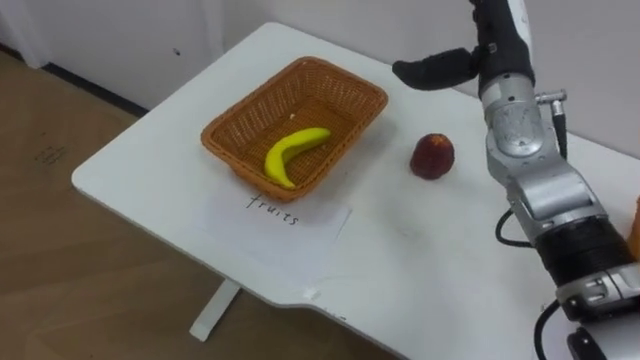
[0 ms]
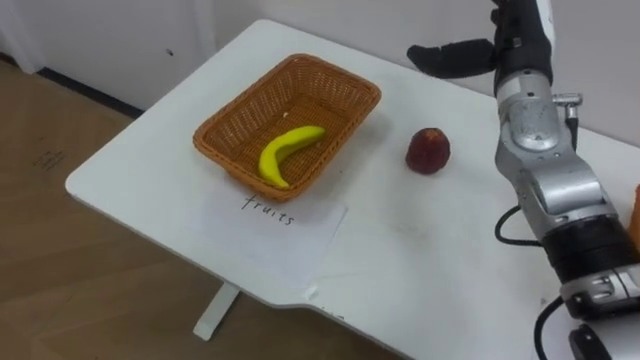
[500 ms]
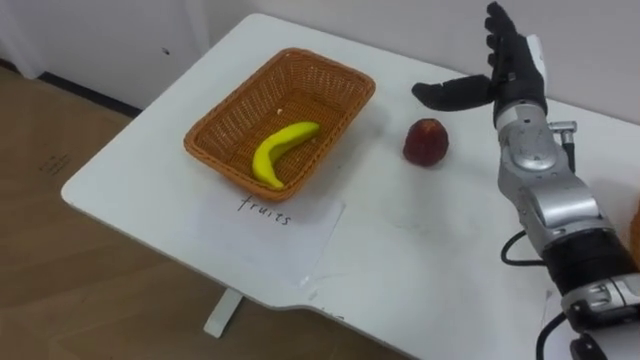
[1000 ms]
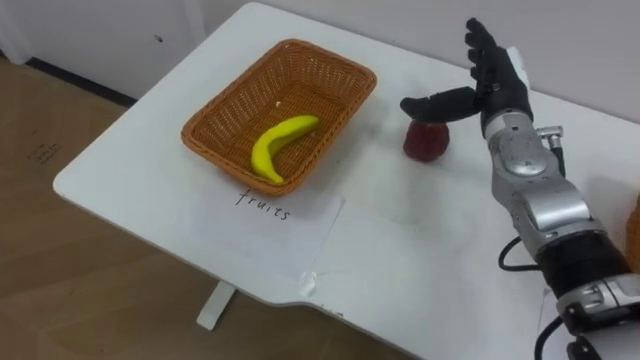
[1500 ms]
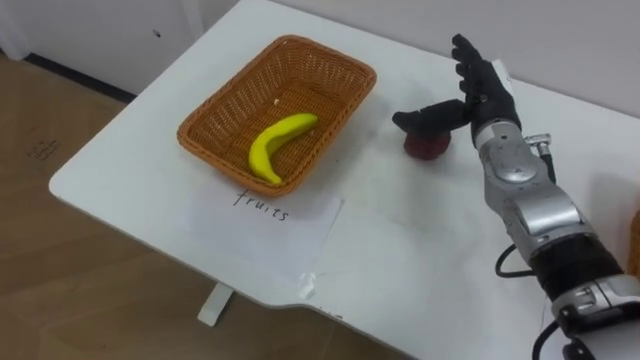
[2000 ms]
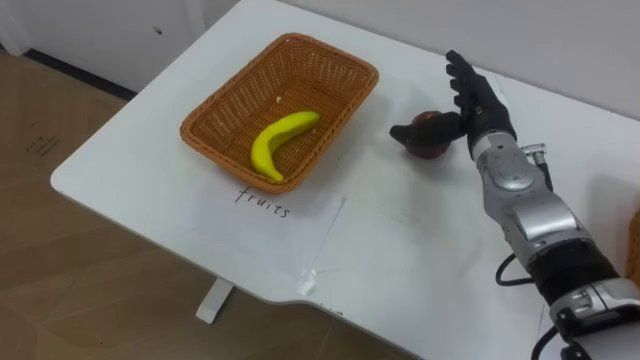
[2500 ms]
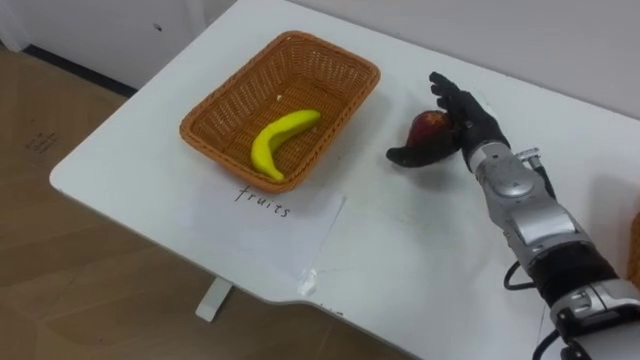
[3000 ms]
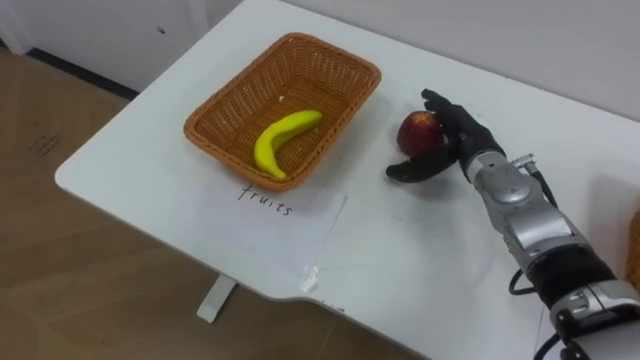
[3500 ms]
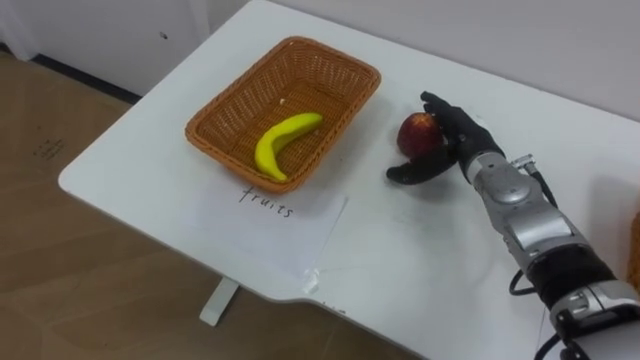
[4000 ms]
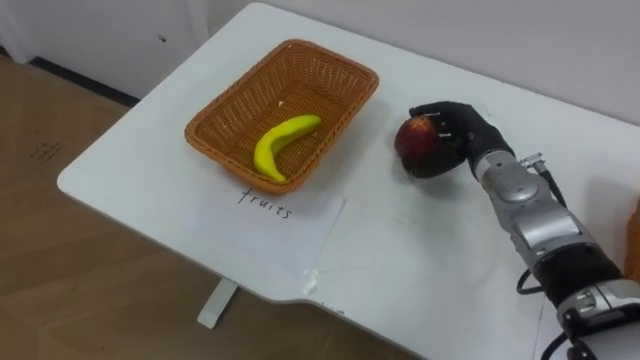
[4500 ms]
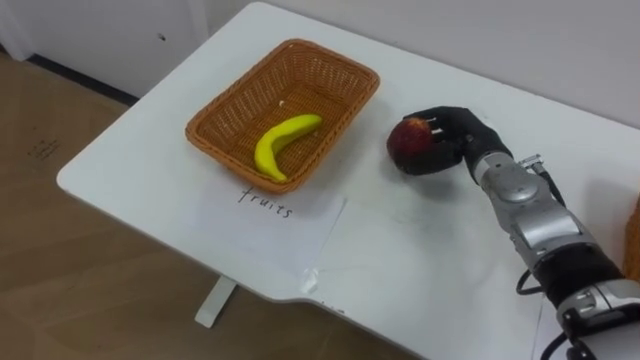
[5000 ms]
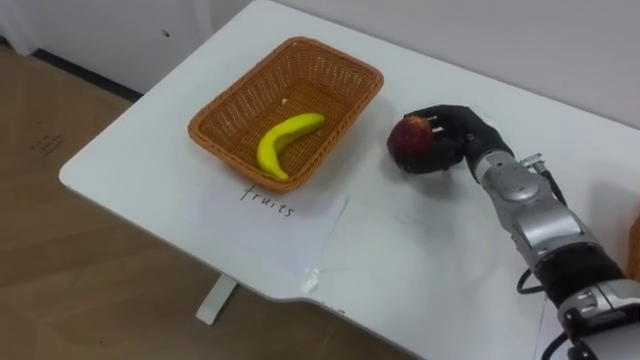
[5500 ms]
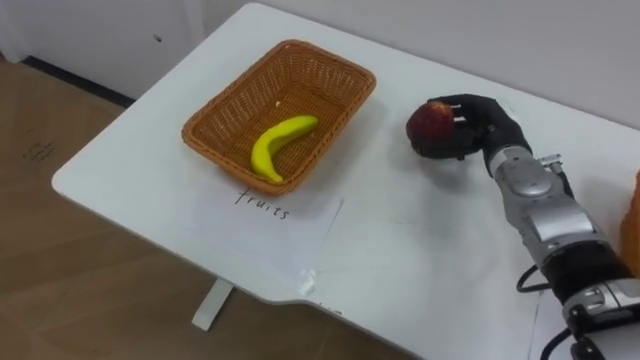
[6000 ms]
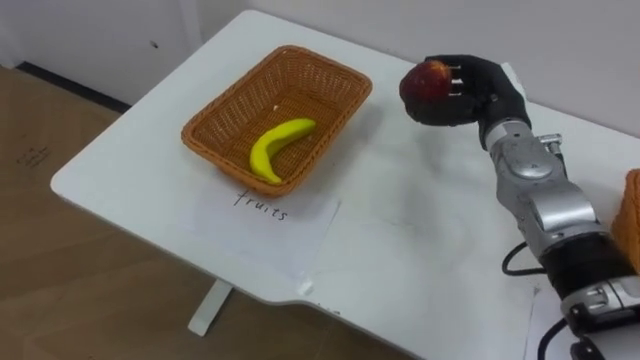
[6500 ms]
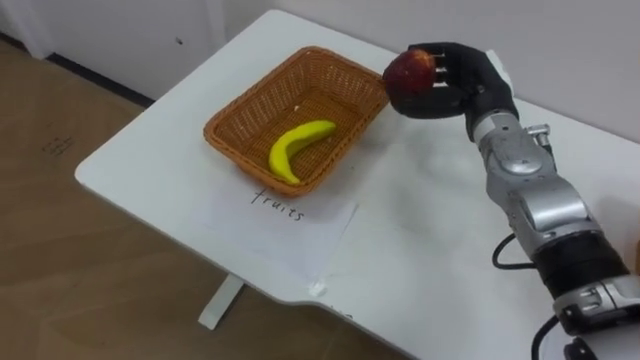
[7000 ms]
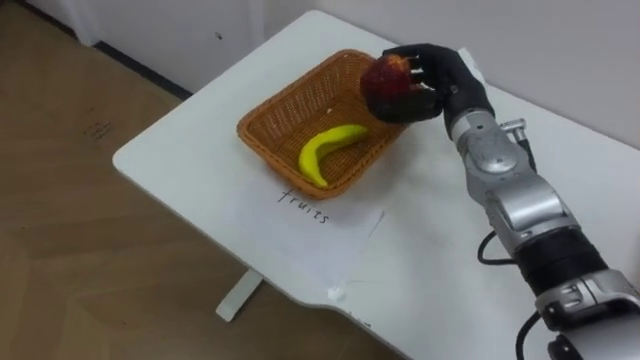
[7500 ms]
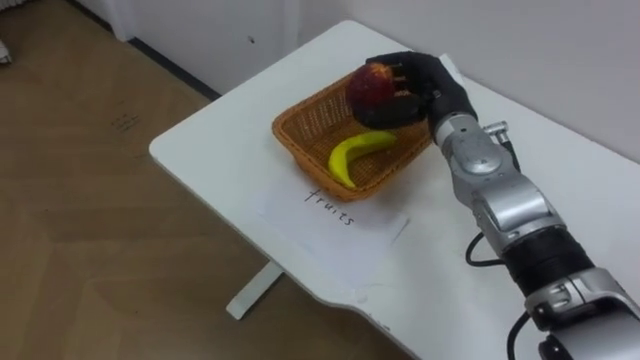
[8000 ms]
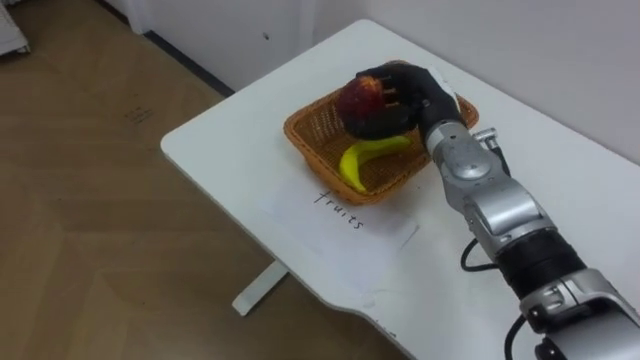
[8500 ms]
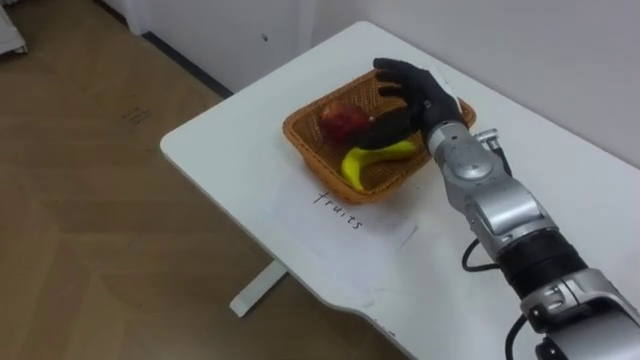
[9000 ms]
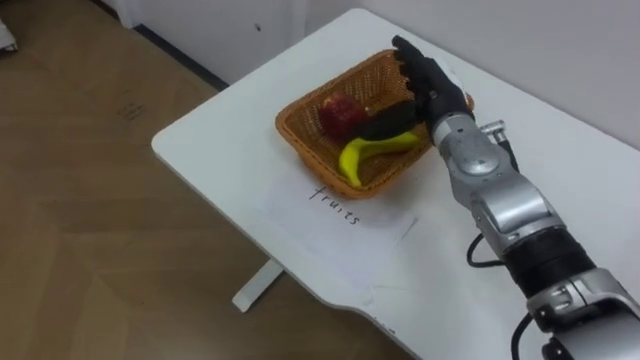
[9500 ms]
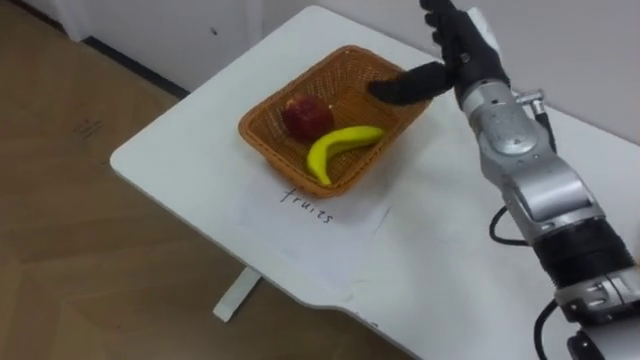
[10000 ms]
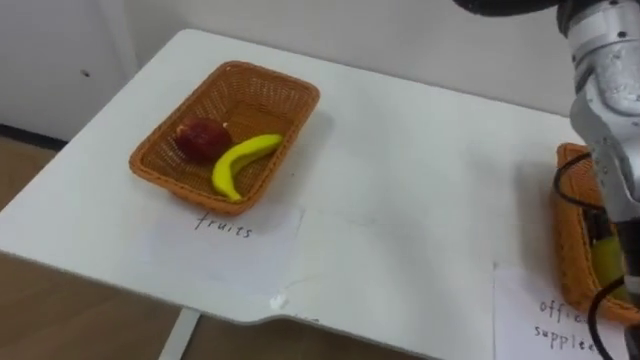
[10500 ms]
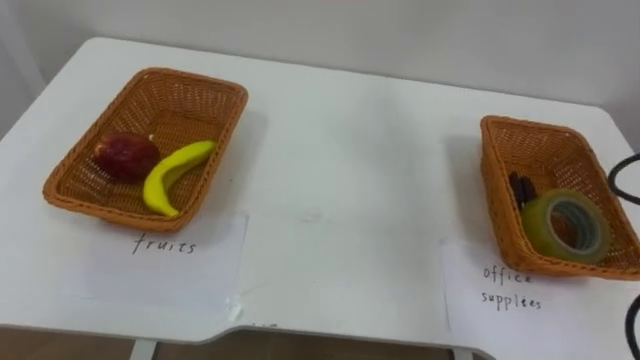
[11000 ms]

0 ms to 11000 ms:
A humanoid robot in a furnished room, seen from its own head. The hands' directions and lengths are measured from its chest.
Task of the whole recording: Separate the items on the table and place them into the two baskets.
0 ms to 2000 ms: The right hand moves downward, some 10 cm.
2000 ms to 3500 ms: The right hand travels downward by roughly 5 cm.
3500 ms to 5500 ms: The right hand closes up.
5500 ms to 7500 ms: The right hand moves upward, roughly 5 cm.
7500 ms to 9000 ms: The right hand opens up.

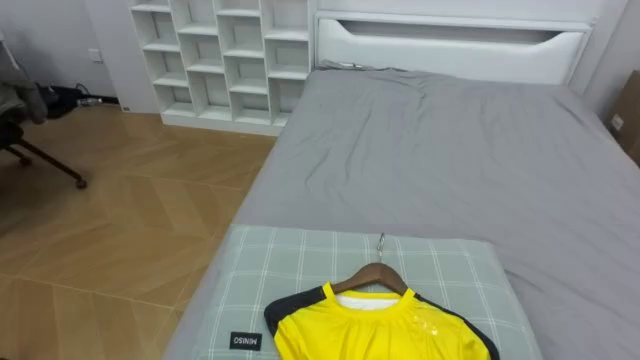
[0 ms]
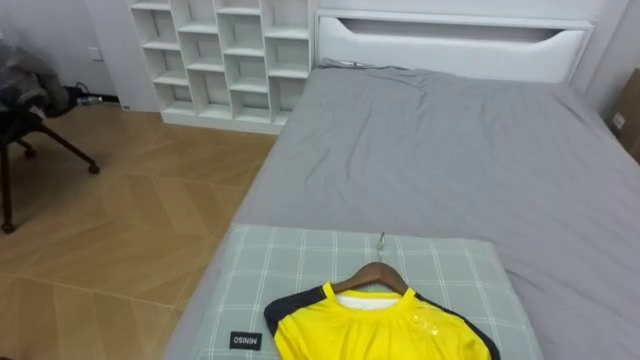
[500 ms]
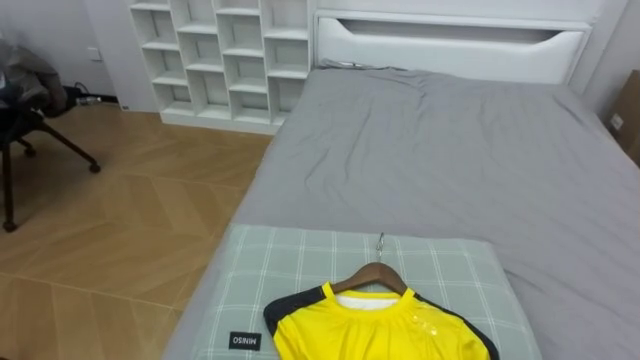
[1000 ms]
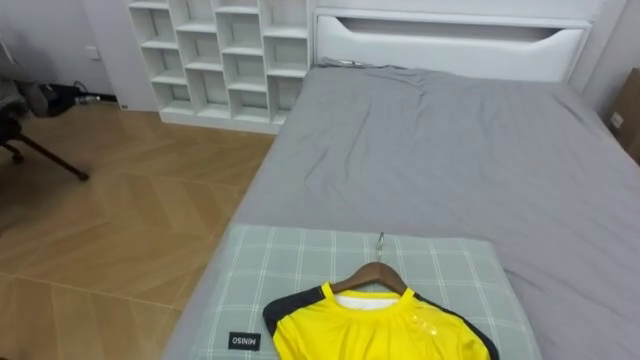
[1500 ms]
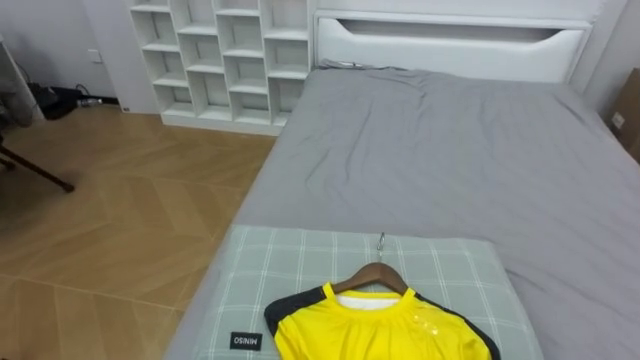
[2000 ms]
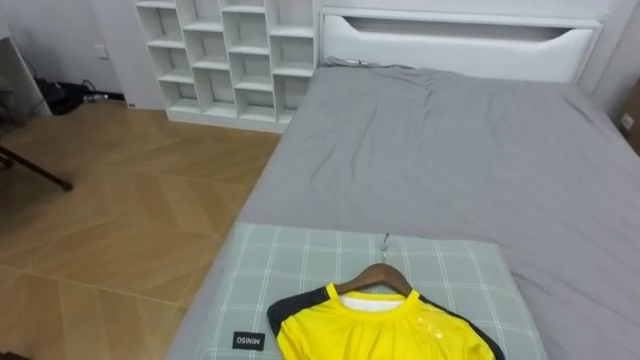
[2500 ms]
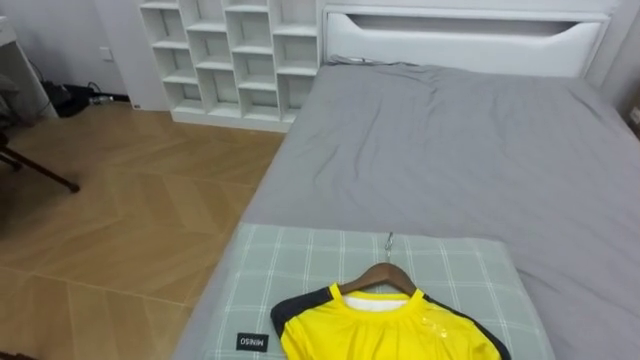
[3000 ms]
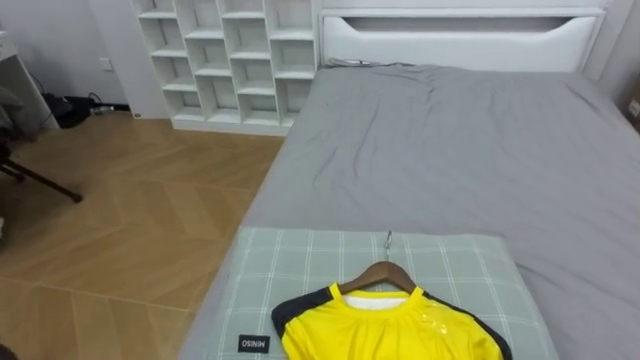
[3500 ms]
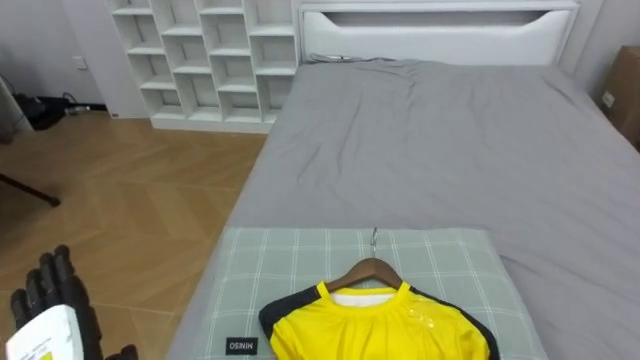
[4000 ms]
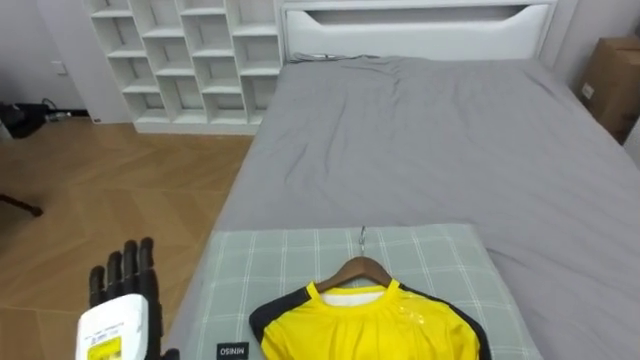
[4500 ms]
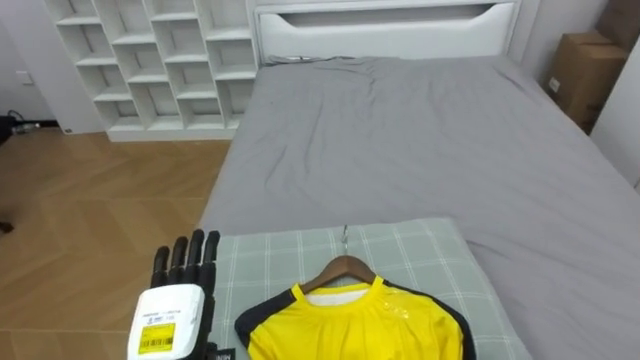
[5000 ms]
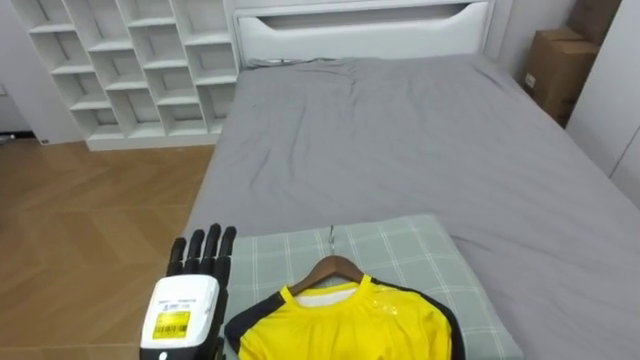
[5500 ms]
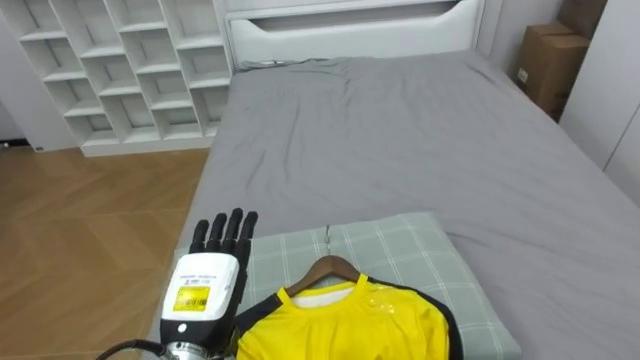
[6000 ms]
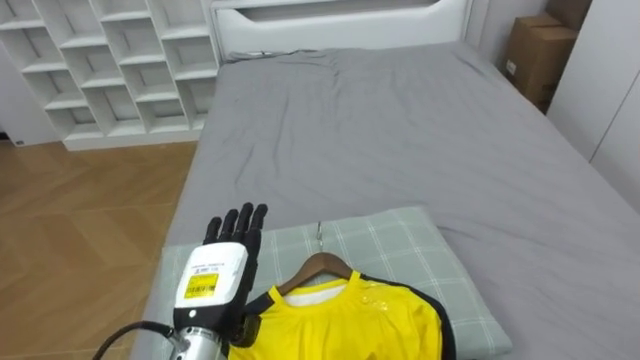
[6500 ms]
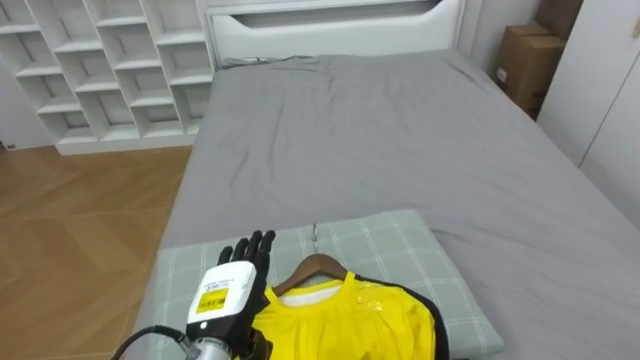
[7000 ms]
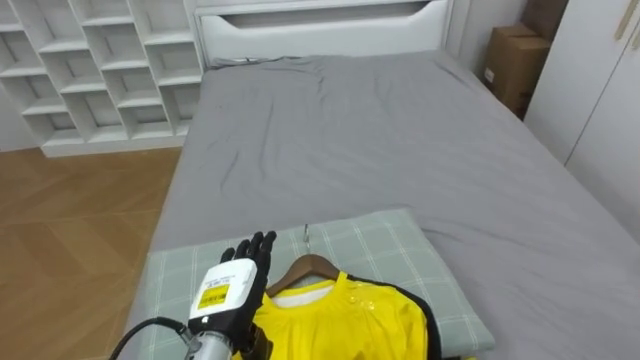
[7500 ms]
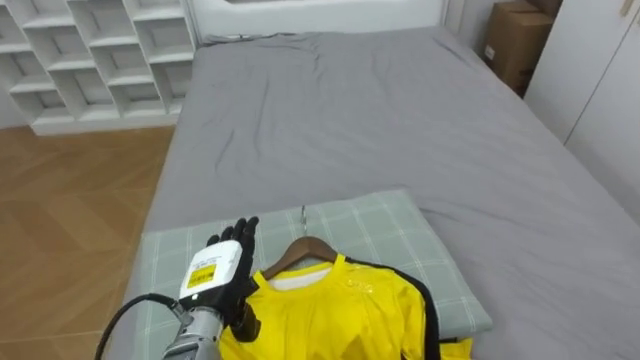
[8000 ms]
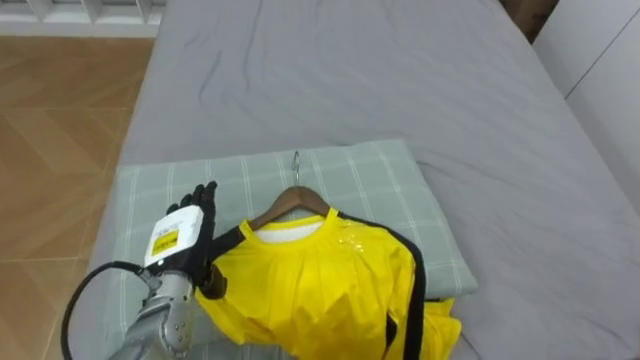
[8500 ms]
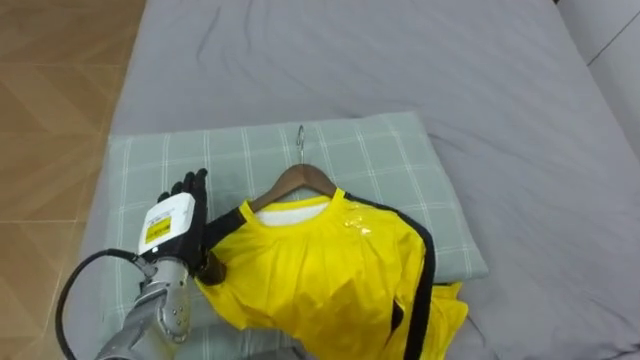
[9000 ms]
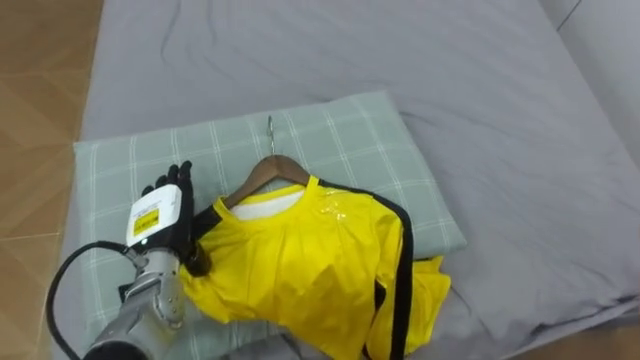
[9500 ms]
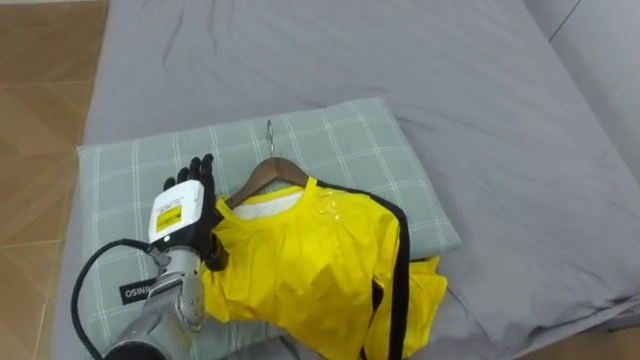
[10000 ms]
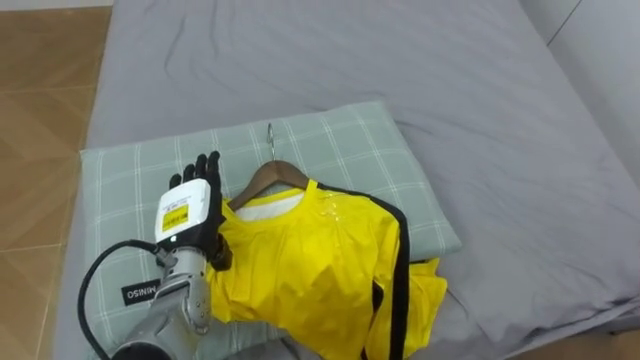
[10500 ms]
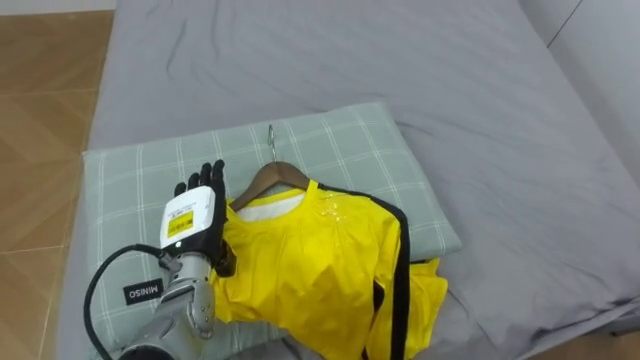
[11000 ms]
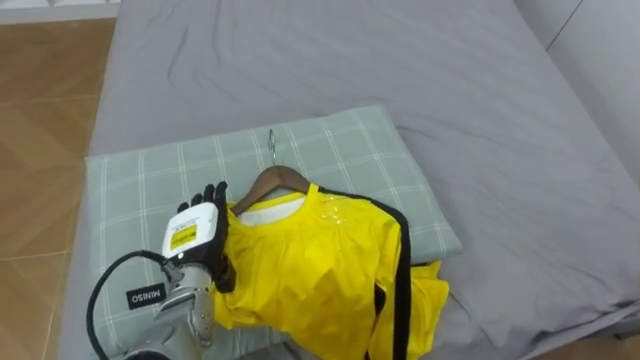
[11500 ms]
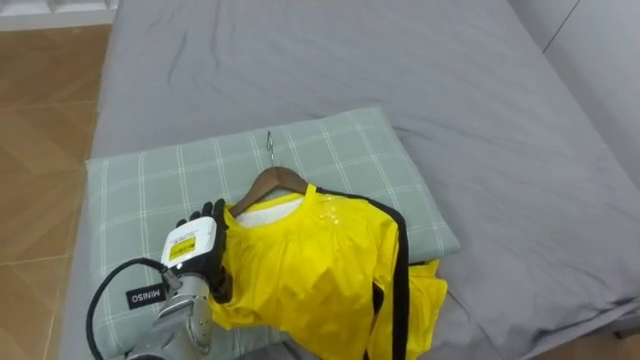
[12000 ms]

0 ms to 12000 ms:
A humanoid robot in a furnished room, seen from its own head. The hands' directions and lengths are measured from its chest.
Task of the whole recording: Pick up the yellow shirt on the bed and hang it on the clothes rack on the right.
8000 ms to 10000 ms: The left hand moves forward, approximately 5 cm.
10000 ms to 12000 ms: The left hand shifts by roughly 5 cm.
